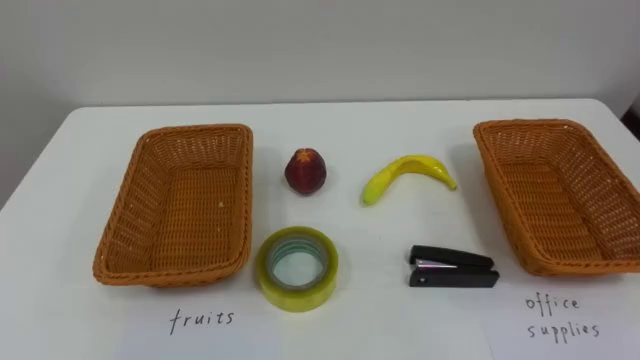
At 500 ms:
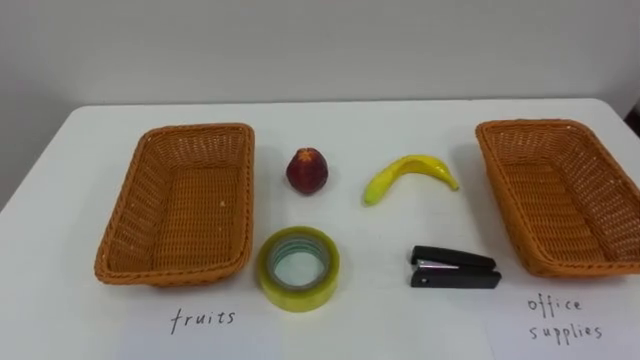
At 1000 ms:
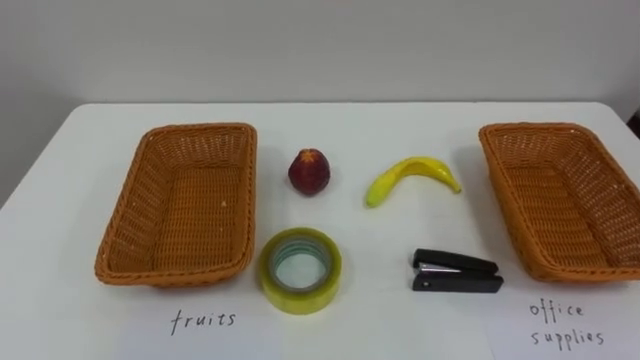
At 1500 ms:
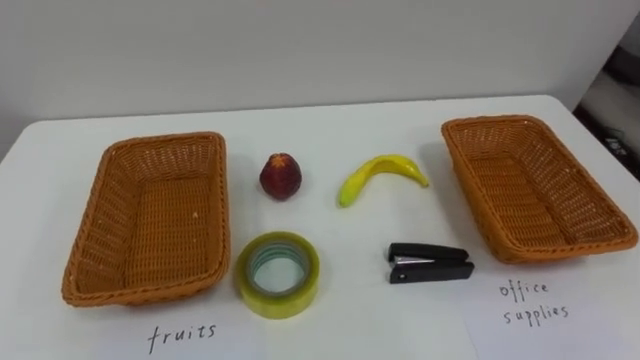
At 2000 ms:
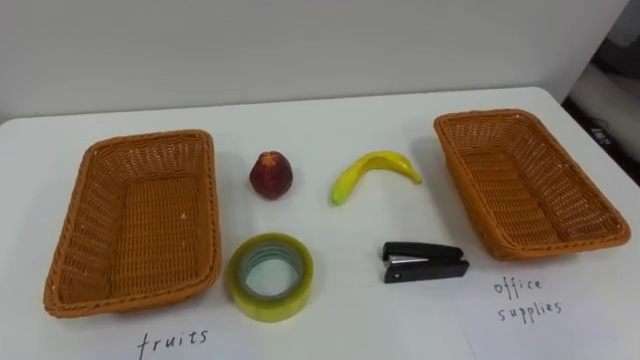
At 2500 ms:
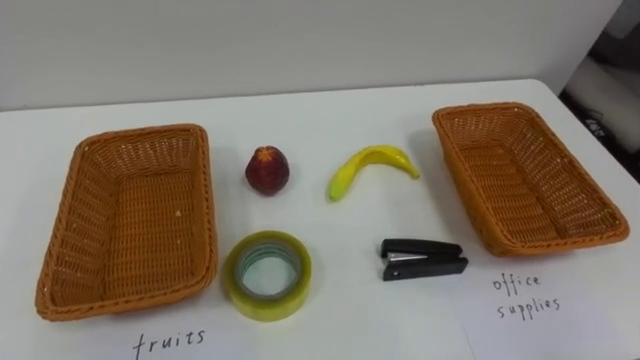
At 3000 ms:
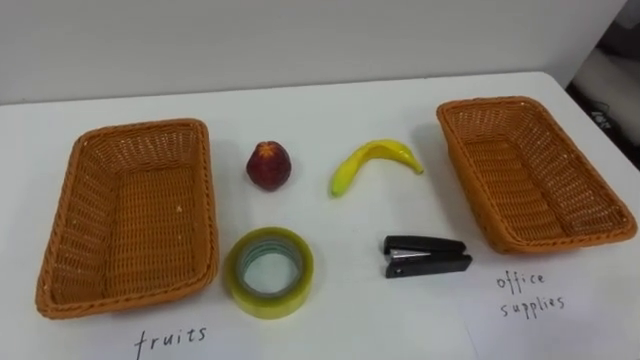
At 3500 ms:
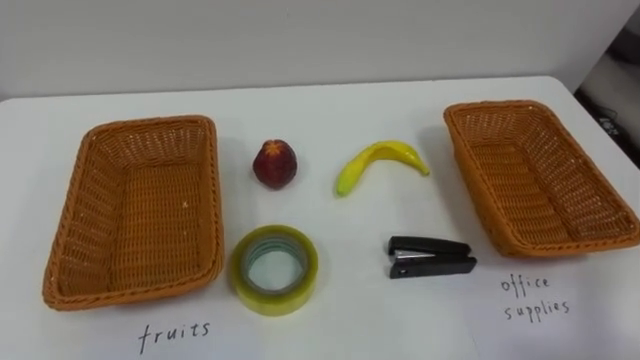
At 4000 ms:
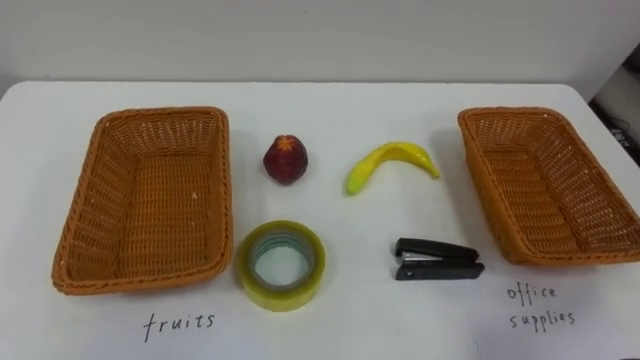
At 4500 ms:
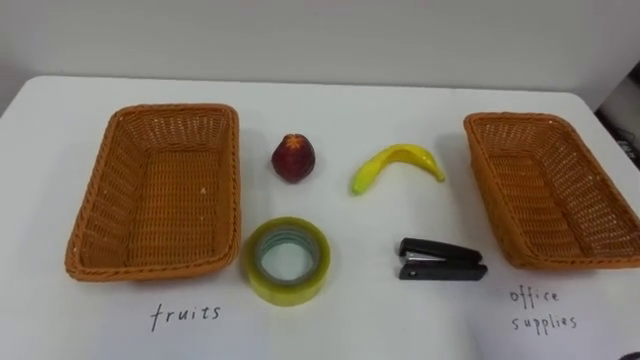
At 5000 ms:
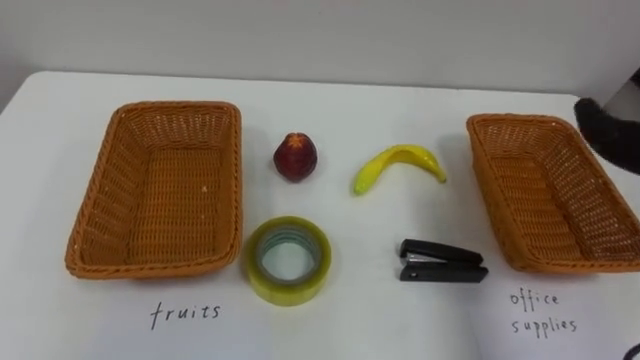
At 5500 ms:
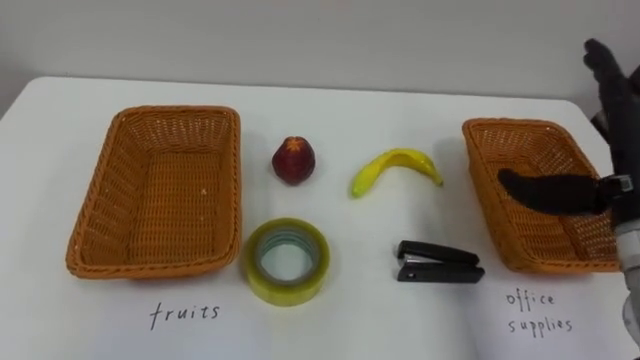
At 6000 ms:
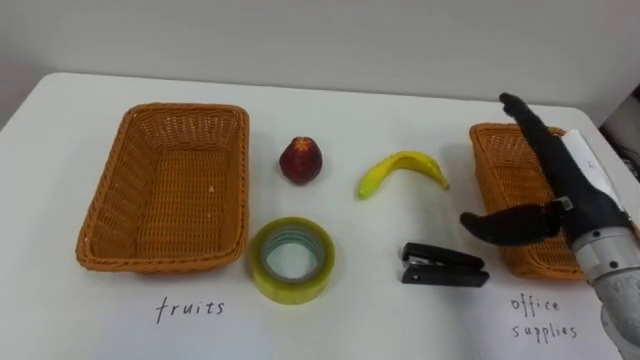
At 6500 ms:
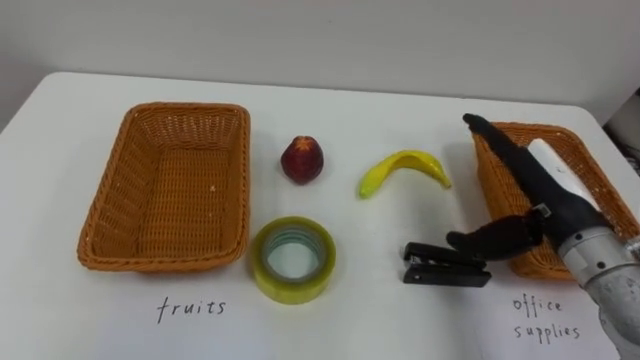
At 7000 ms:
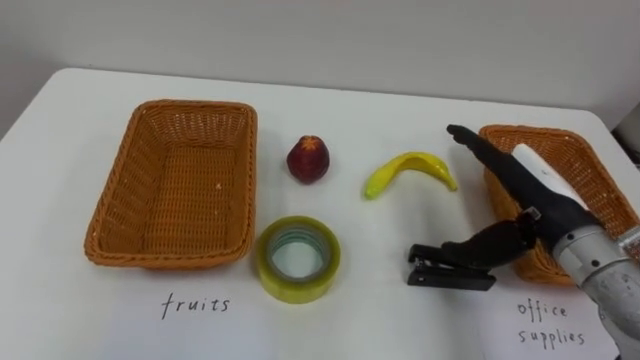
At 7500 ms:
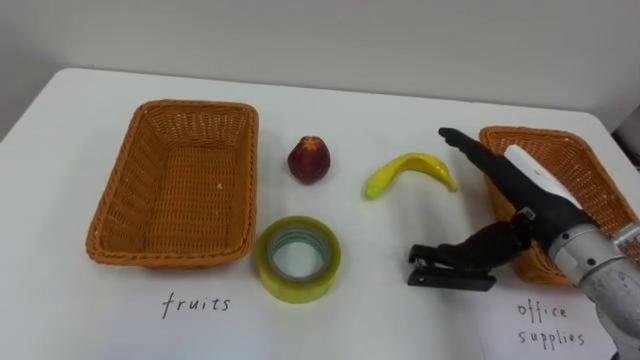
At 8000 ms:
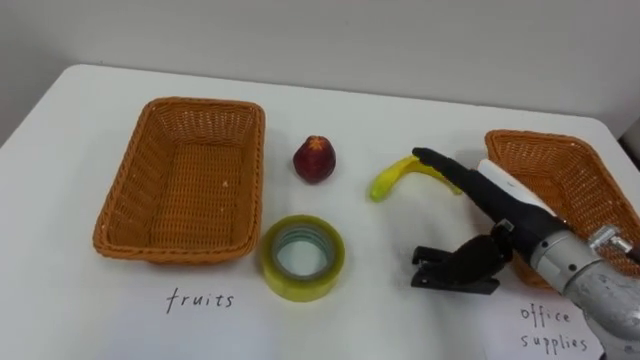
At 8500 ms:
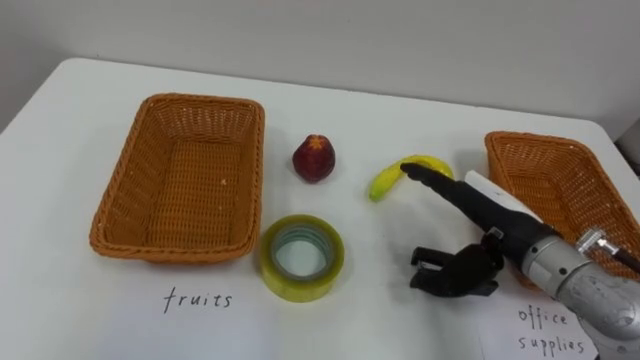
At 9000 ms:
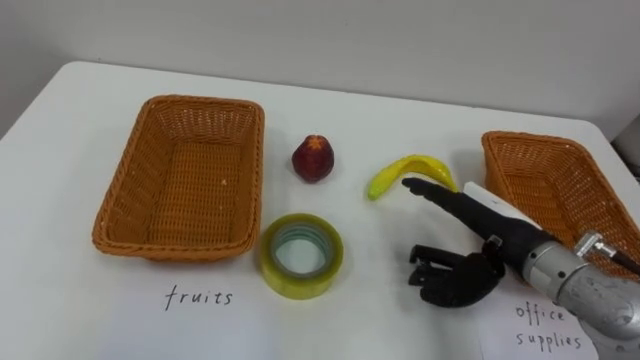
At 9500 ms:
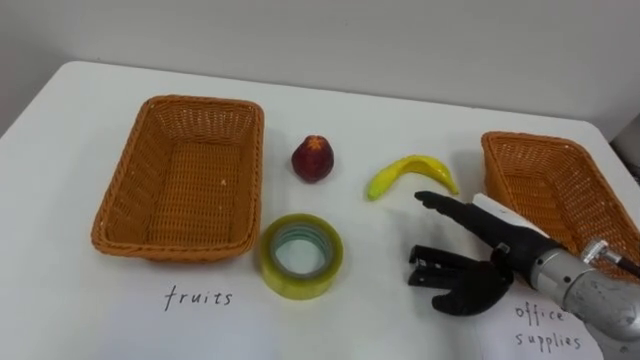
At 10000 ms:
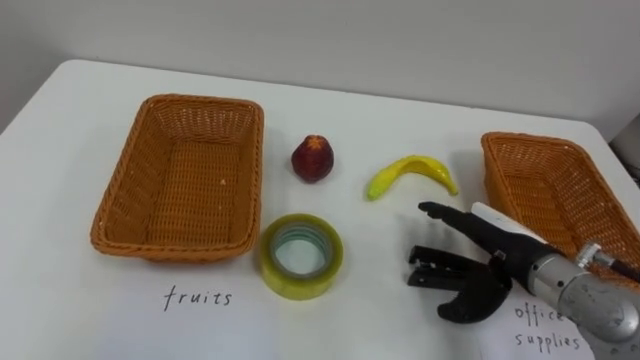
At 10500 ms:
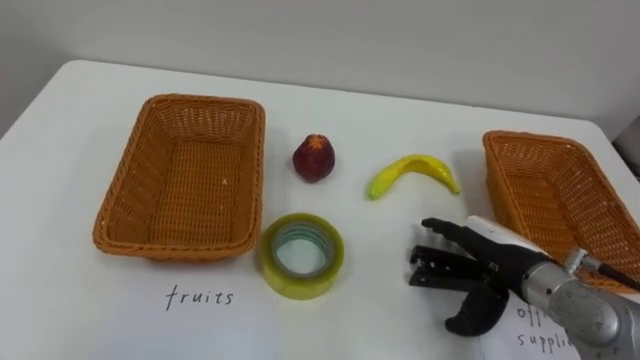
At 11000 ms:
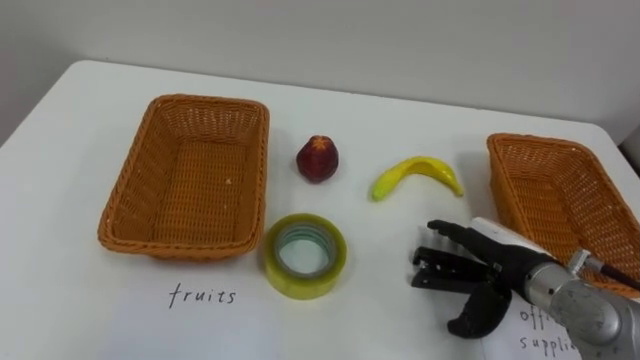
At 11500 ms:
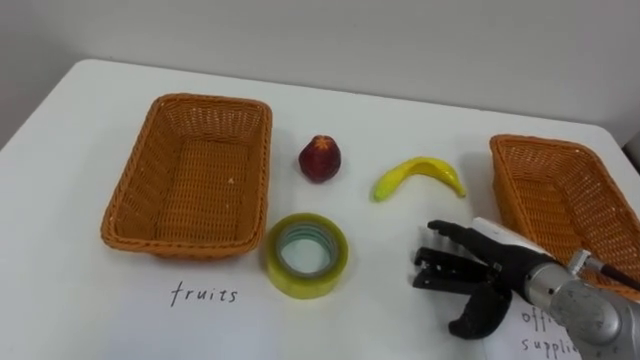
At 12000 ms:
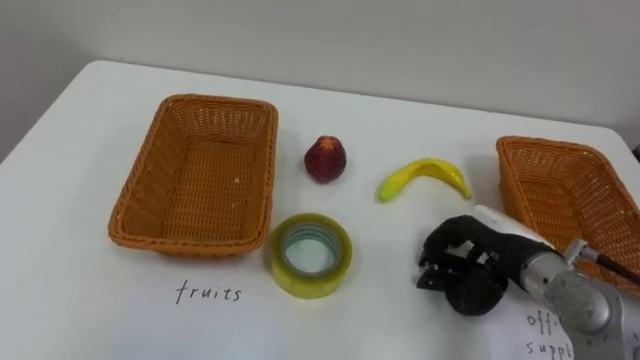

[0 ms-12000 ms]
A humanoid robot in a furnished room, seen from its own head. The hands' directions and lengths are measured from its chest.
Task of the whole recording: Separate the items on the table and place them into the two baskets.
6000 ms to 8000 ms: The right hand moves to the left, approximately 5 cm.
8000 ms to 10000 ms: The right hand goes some 5 cm downward.

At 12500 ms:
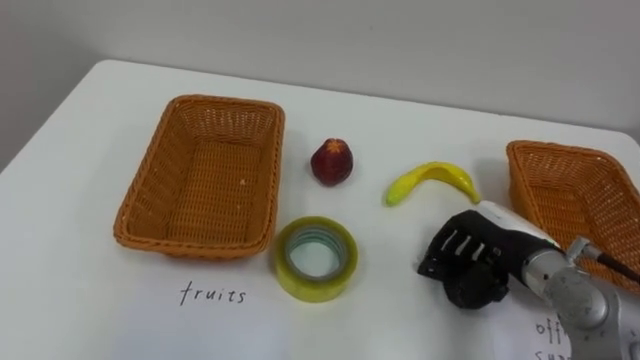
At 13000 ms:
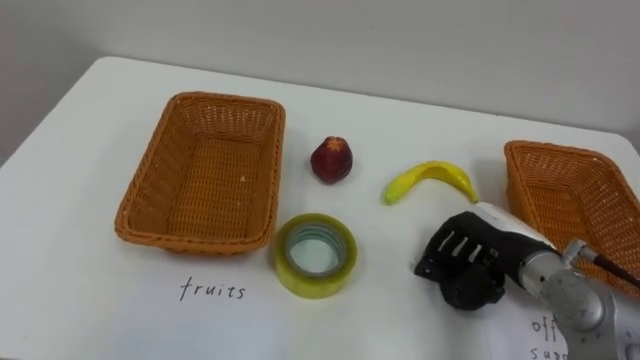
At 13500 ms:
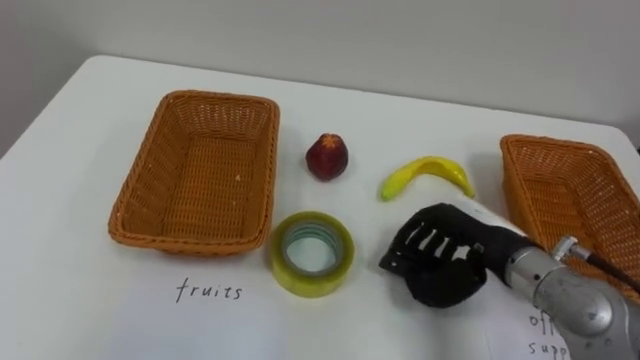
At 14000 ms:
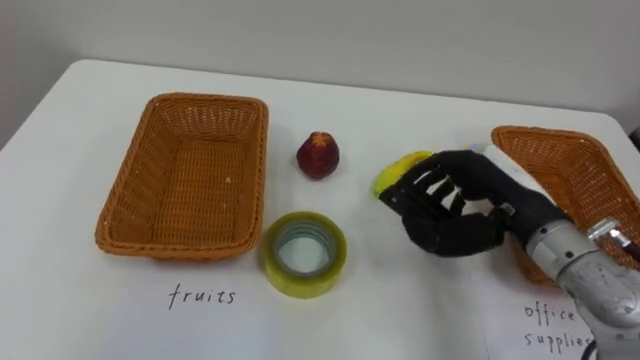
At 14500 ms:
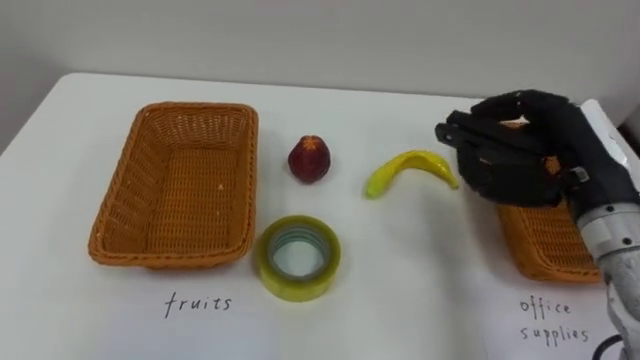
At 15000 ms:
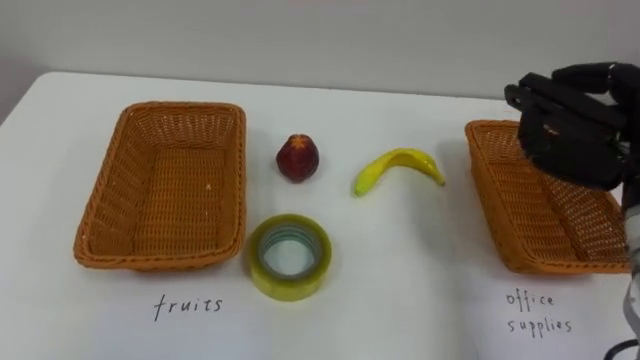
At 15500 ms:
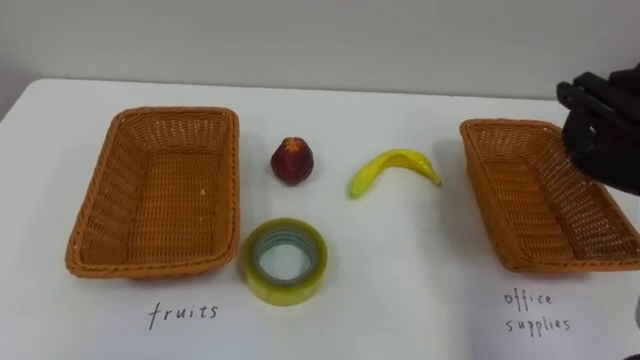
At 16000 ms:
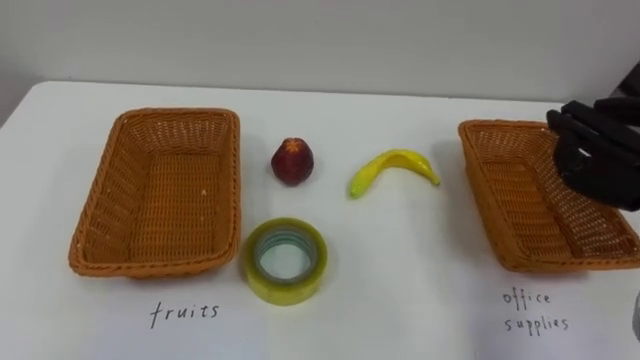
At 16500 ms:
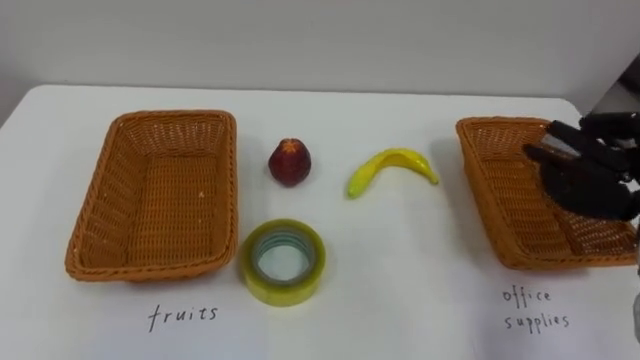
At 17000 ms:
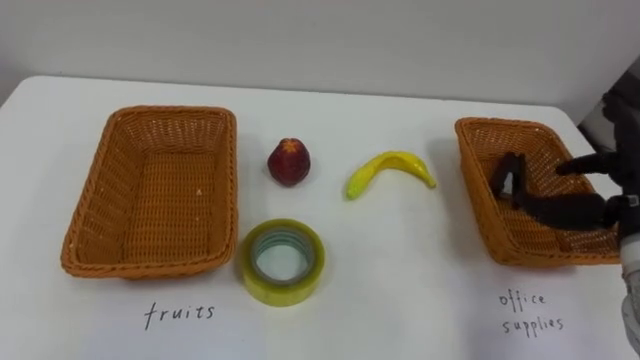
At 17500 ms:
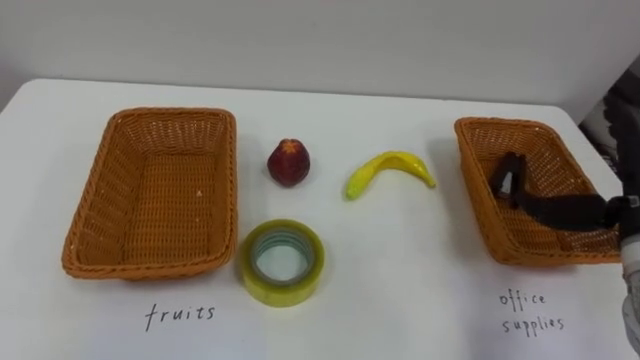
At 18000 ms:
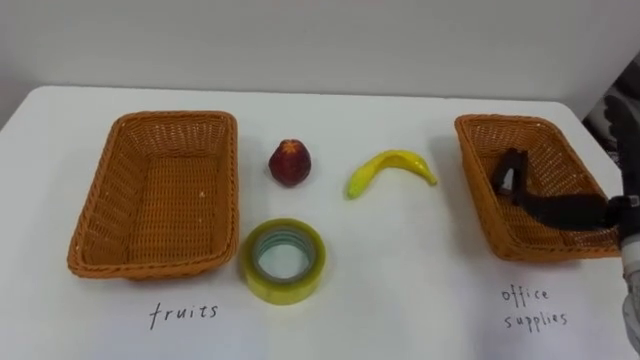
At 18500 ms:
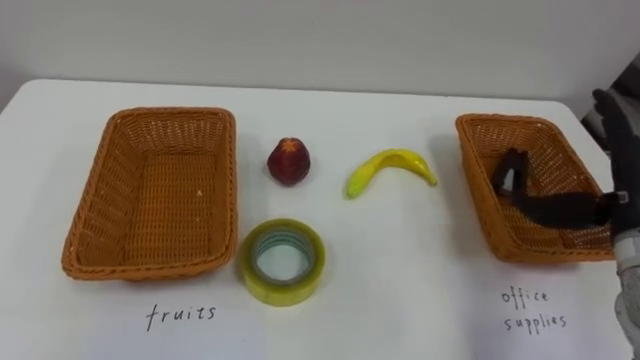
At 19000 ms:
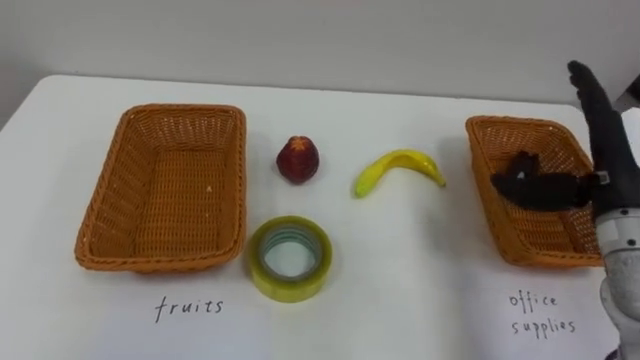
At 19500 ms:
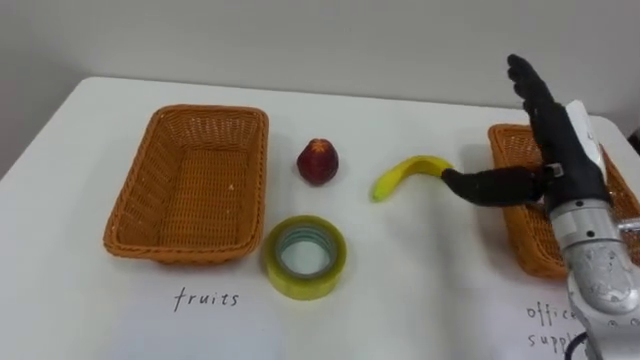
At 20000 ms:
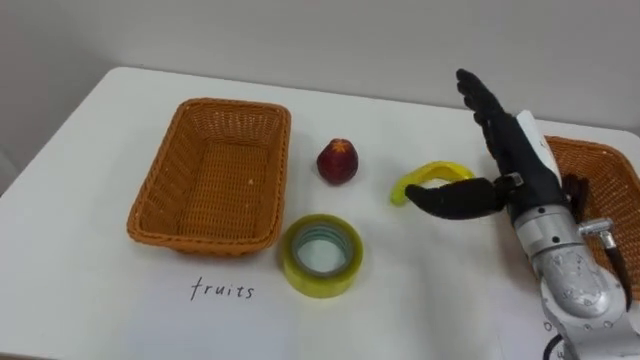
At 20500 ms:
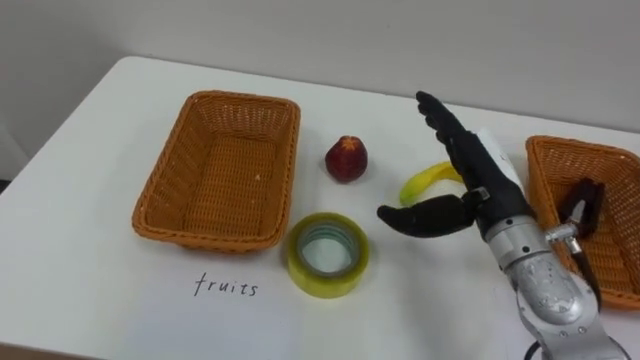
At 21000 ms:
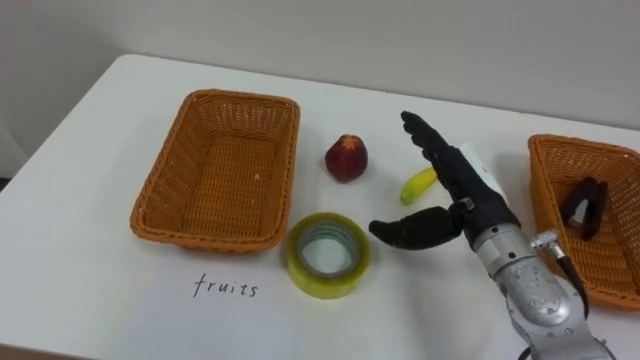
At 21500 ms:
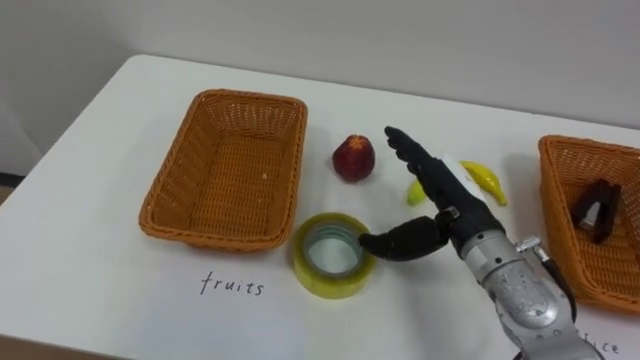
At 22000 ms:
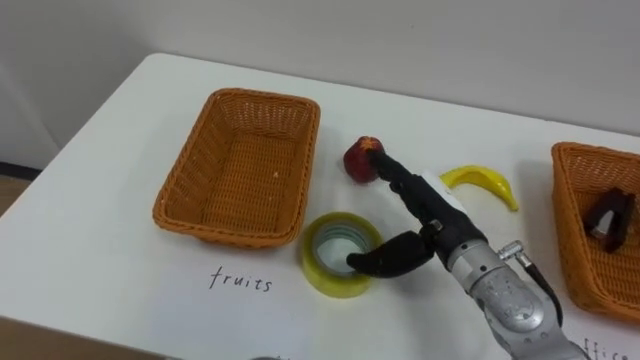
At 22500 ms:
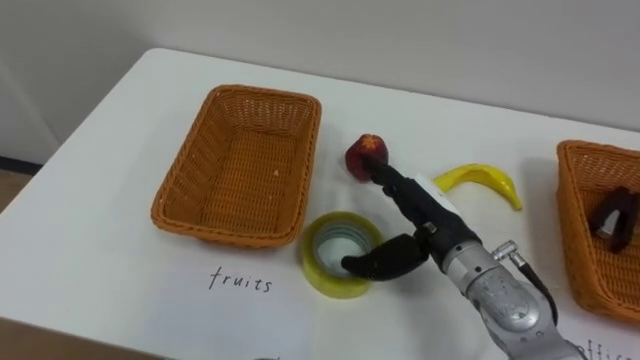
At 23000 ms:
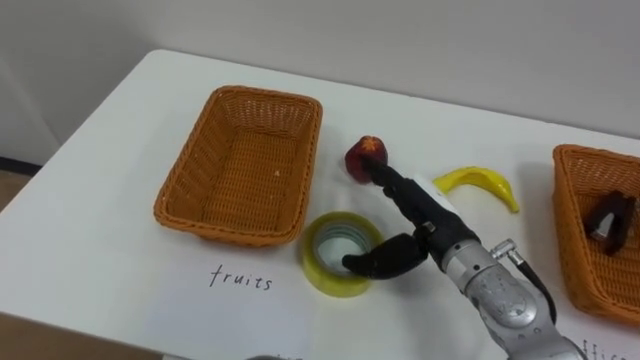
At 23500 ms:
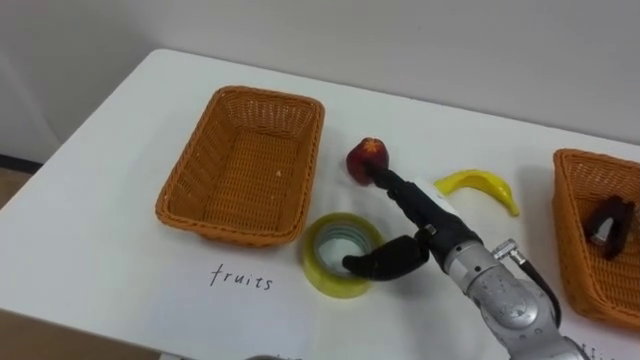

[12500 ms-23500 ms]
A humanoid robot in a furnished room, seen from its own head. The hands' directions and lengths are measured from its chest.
Task of the whole recording: Separate the items on the table and place them into the two baskets.
12500 ms to 14500 ms: The right hand shifts about 15 cm upward.
18000 ms to 20000 ms: The right hand moves to the left, some 15 cm.
20000 ms to 21500 ms: The right hand travels to the left by about 5 cm.
